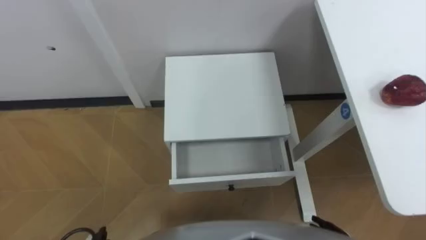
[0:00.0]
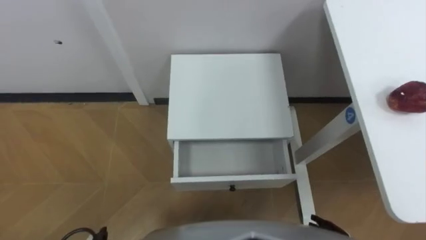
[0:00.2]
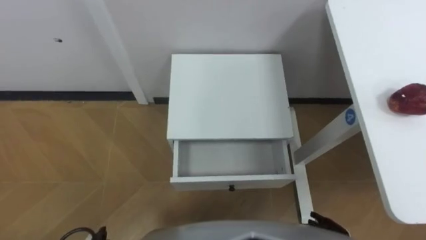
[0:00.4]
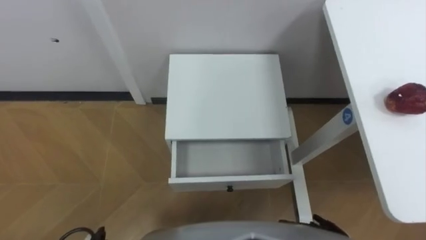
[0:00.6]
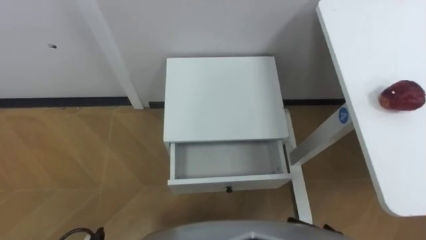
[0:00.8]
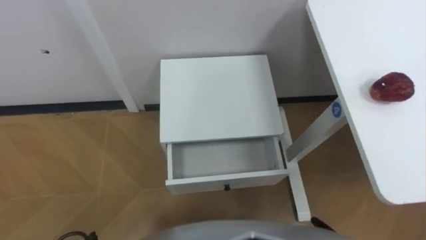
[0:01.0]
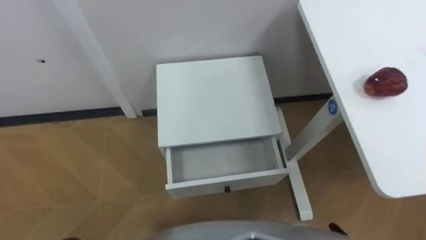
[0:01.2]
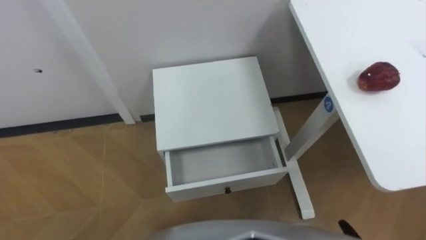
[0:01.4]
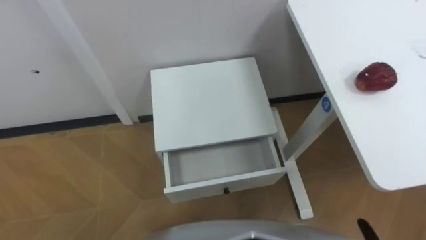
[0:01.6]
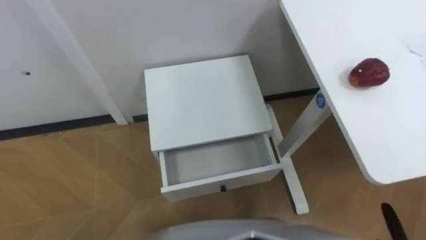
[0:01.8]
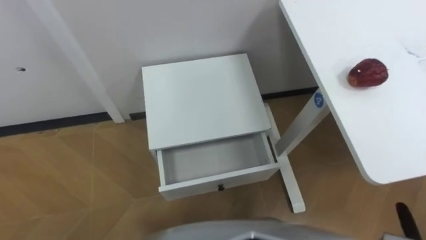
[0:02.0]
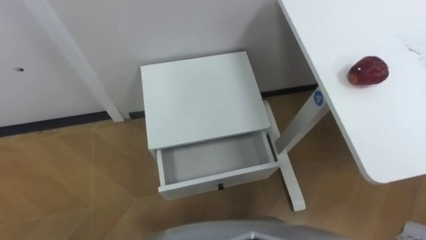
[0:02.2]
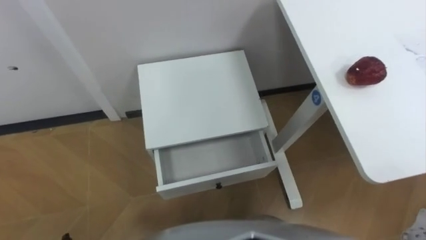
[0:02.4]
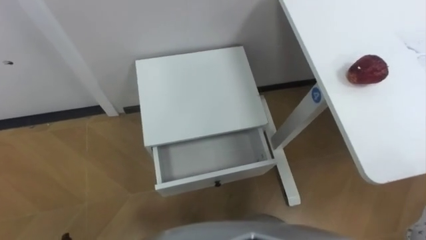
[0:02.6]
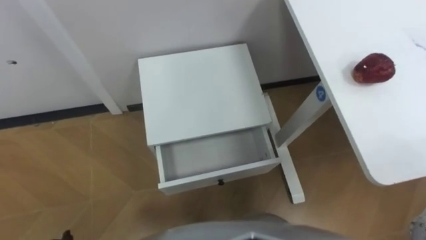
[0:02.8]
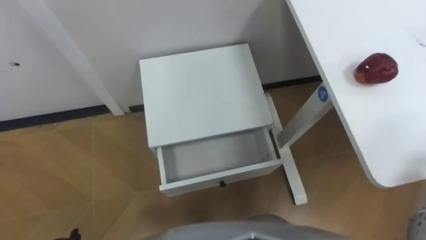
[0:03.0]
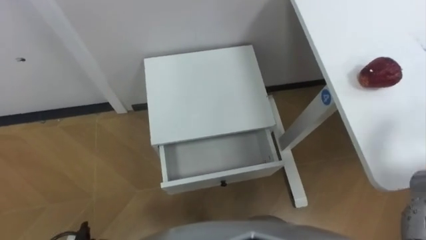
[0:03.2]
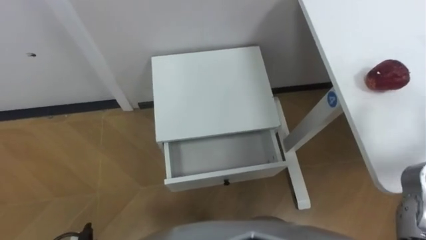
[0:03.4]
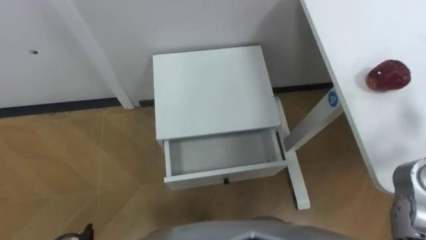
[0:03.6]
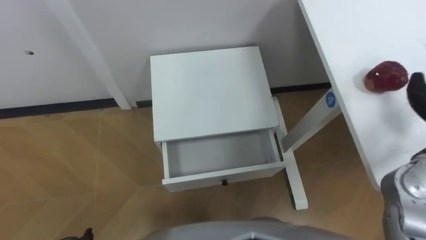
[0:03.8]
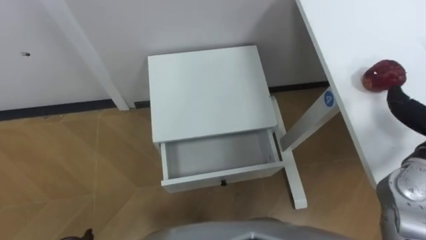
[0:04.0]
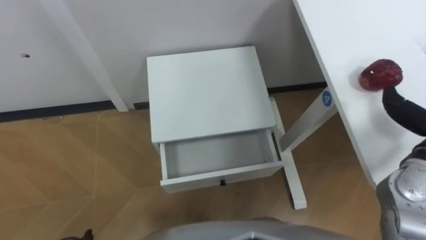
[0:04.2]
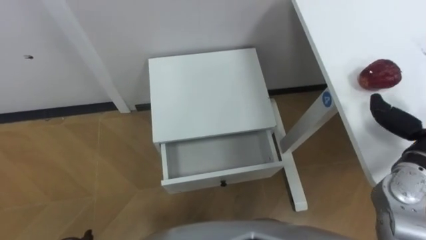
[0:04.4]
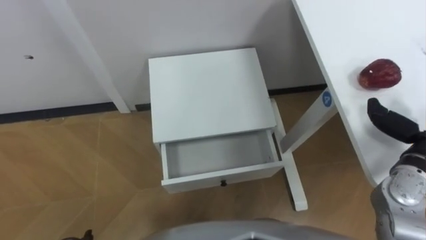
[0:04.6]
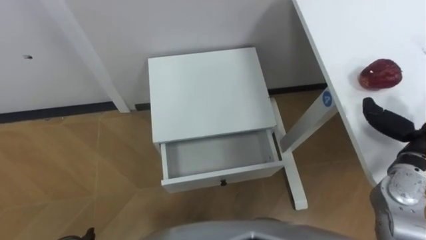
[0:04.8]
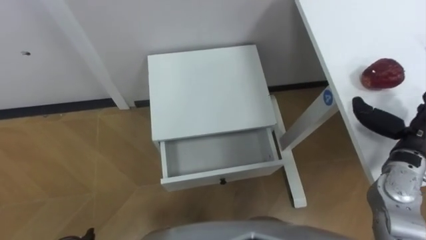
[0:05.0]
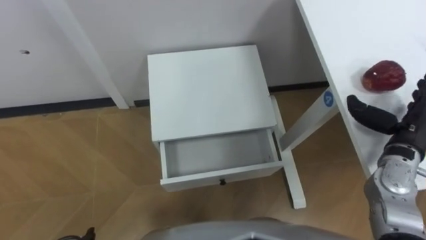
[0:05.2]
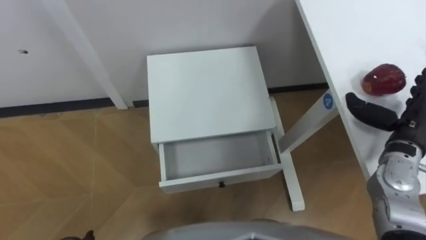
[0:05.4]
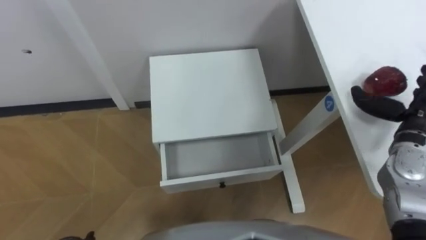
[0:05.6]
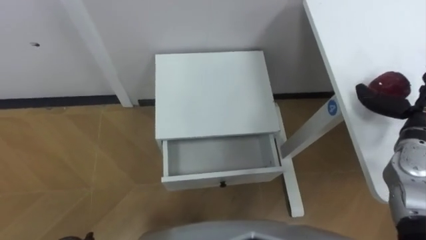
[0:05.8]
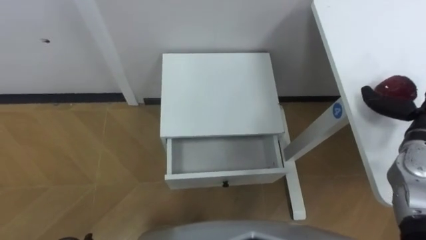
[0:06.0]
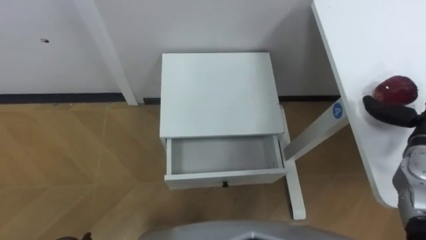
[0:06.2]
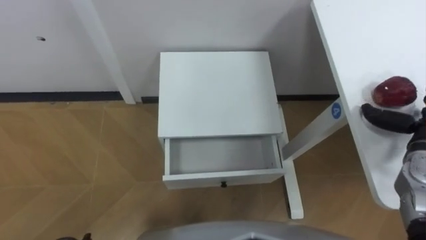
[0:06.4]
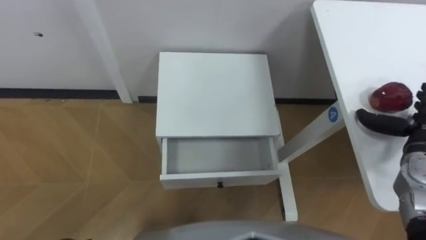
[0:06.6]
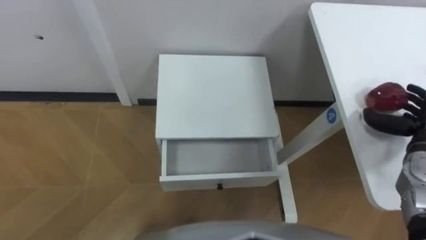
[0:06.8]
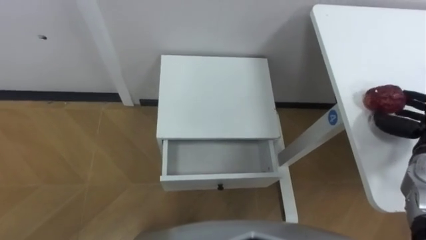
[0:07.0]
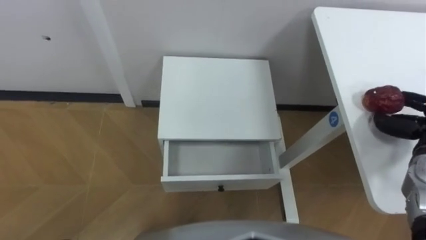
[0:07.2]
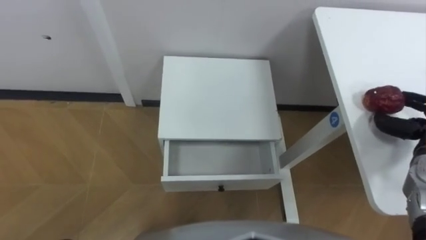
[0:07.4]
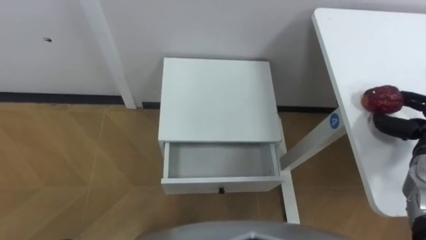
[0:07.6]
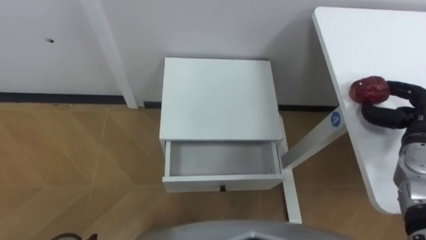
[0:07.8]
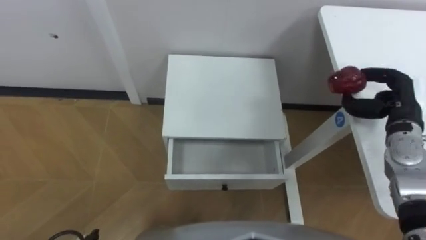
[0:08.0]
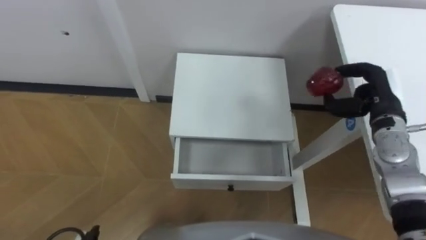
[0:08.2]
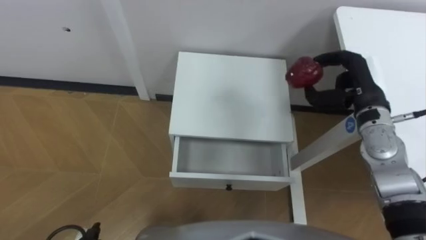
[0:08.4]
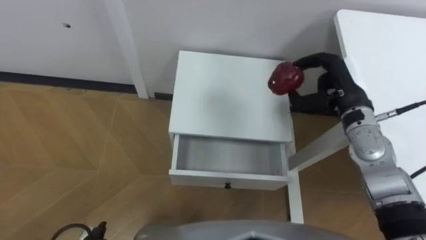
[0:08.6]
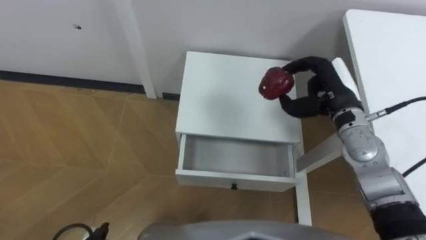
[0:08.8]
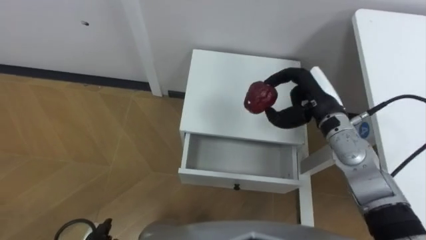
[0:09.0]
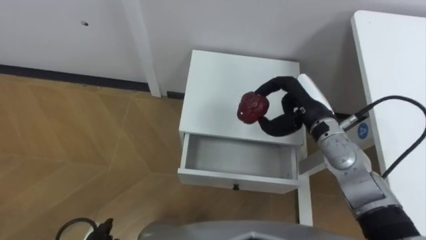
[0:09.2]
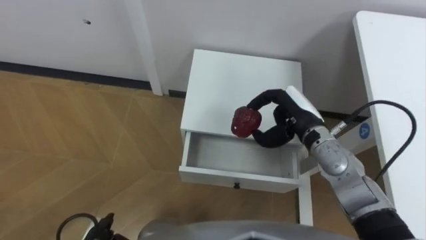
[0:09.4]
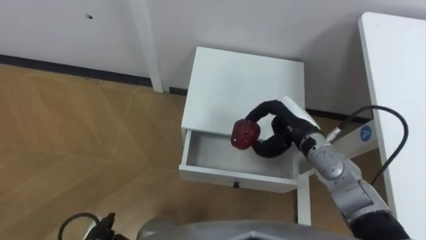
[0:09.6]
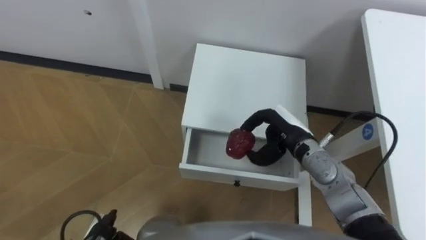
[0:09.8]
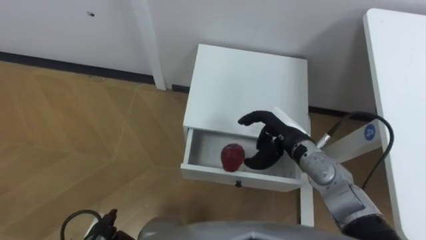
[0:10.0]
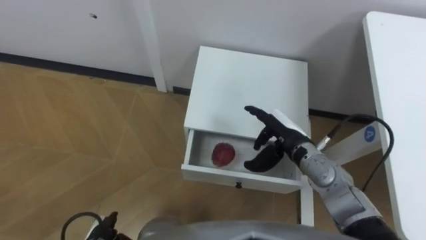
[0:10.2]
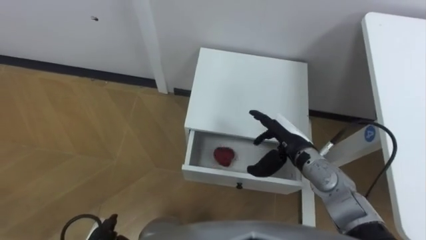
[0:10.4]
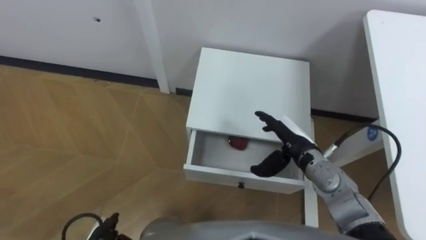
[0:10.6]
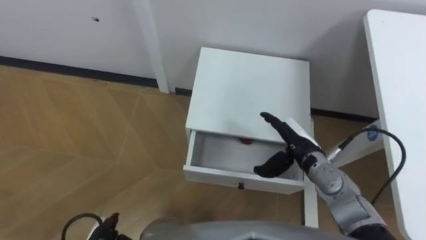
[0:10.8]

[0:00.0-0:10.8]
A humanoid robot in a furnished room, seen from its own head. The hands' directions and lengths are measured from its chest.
Task of the whole recording: Pick up the apple from the table, put it in the drawer, and close the drawer with leg.
0:07.8 to 0:09.2: The right hand is displaced to the left by some 20 cm.
0:09.2 to 0:10.8: The right hand travels downward and backward by approximately 10 cm, and opens its fingers.

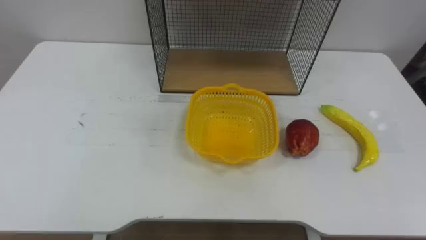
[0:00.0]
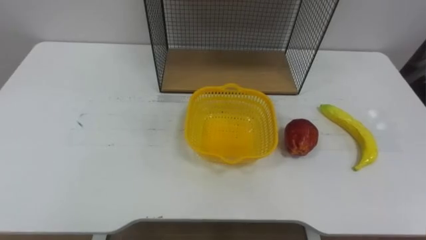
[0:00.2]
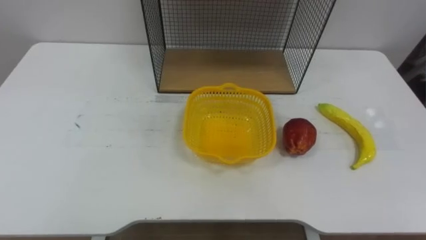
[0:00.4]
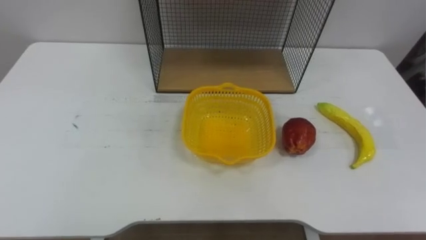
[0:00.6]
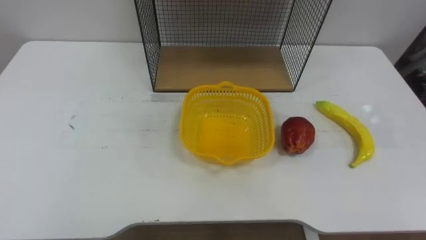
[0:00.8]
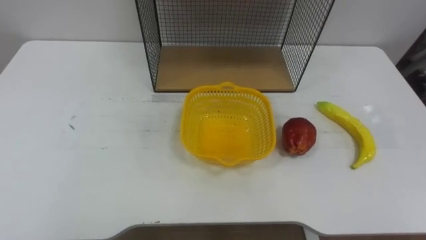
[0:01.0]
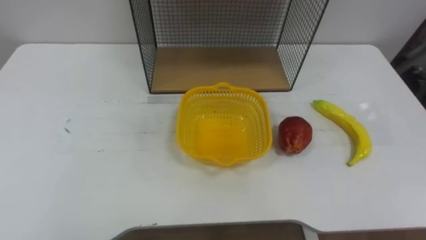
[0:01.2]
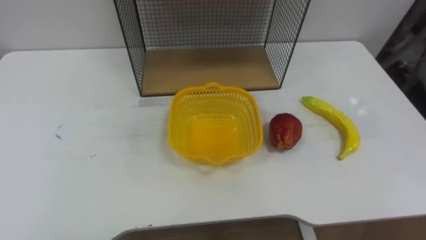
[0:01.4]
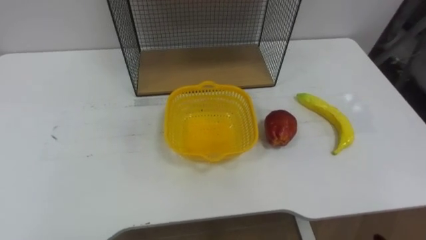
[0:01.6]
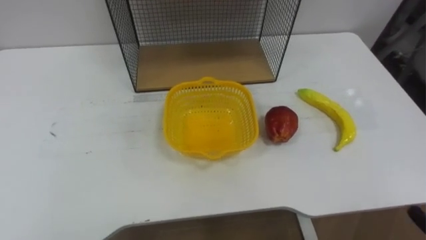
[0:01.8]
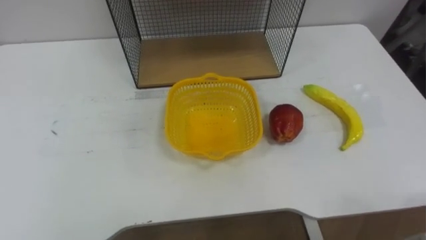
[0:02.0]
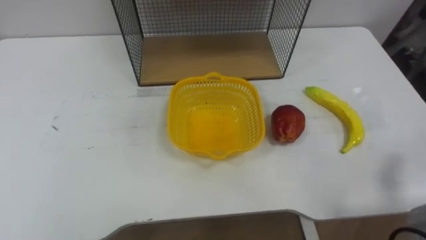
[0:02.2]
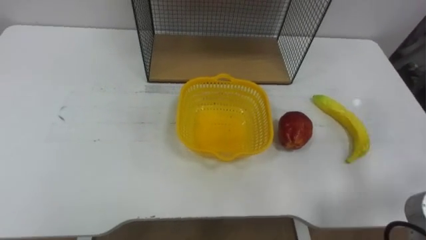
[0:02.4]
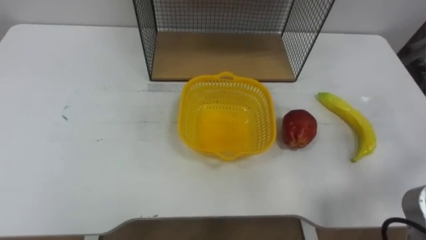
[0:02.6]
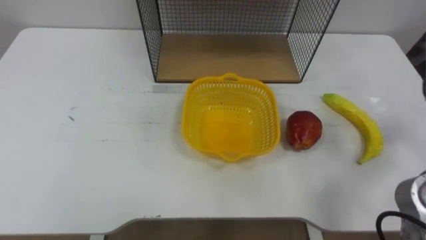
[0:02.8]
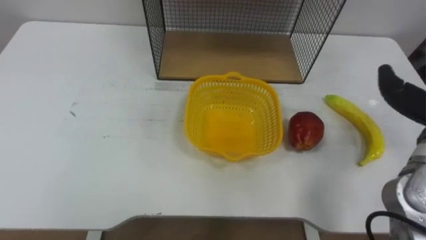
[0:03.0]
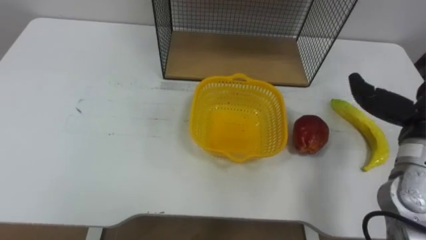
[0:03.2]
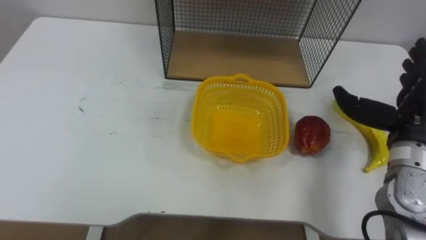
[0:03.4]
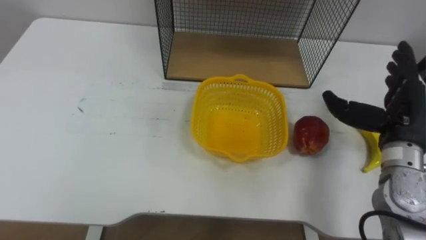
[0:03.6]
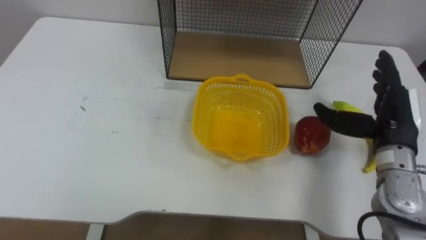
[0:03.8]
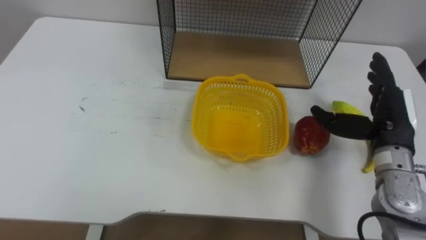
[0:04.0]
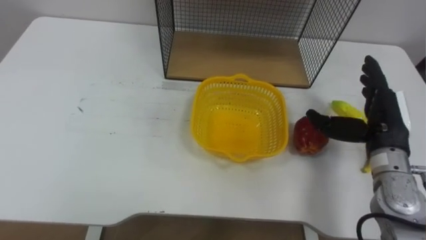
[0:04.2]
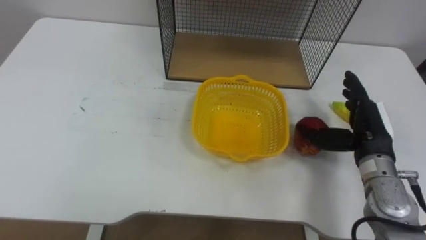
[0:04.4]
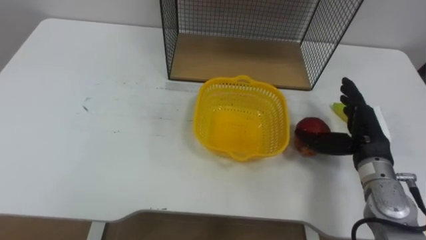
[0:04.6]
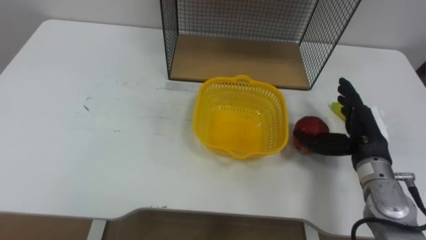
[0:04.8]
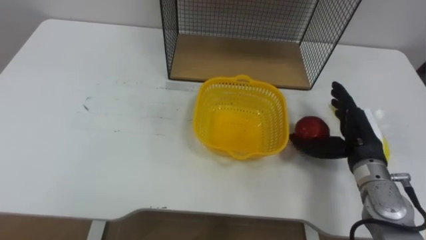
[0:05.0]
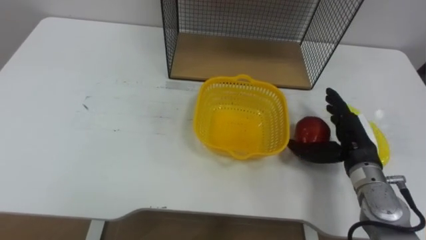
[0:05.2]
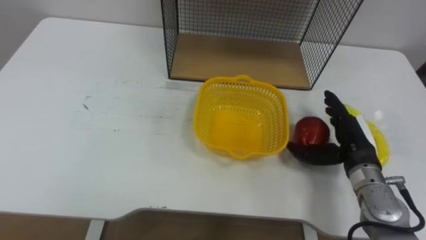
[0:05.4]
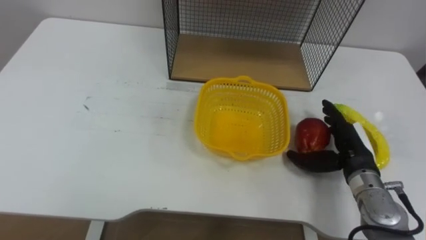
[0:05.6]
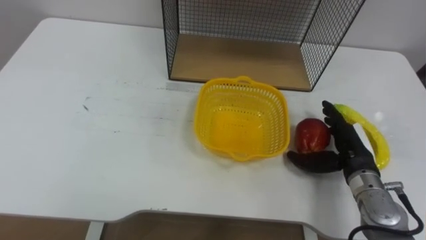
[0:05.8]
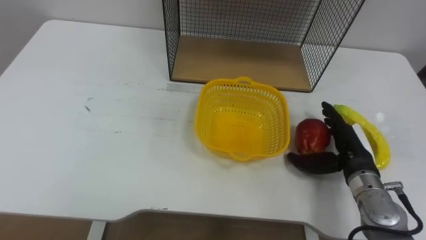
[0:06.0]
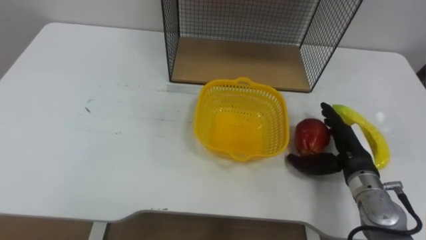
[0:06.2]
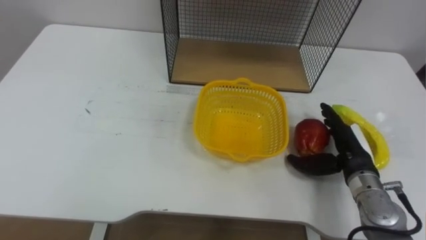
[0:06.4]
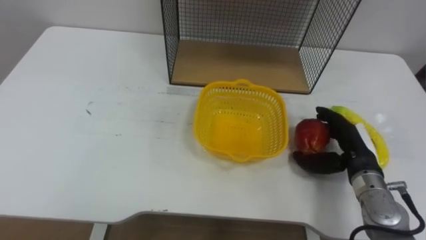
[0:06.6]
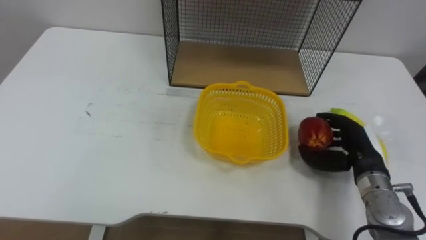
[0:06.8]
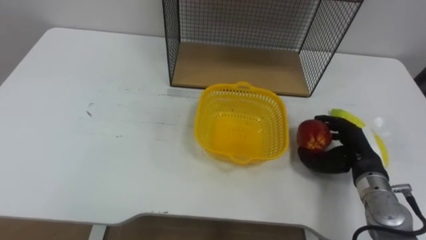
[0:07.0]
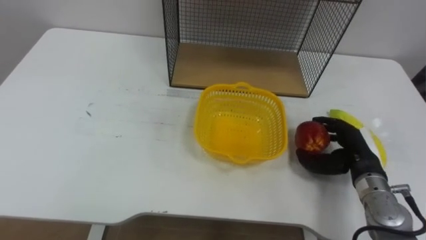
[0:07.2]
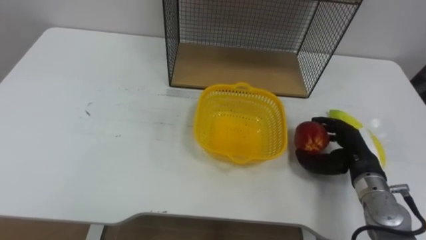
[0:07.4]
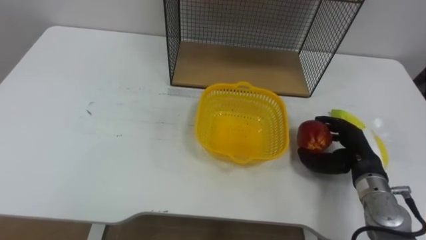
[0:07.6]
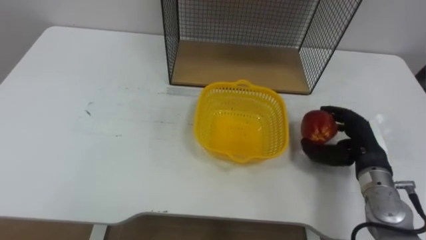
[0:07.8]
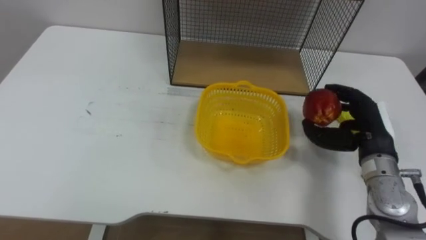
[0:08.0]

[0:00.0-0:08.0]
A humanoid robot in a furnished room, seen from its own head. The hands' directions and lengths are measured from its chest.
Task of the whole recording: Put the fruit on the table into the basket, then place the basket on the shelf.
0:06.4 to 0:08.0: The right hand shifts by about 5 cm, and closes up.
